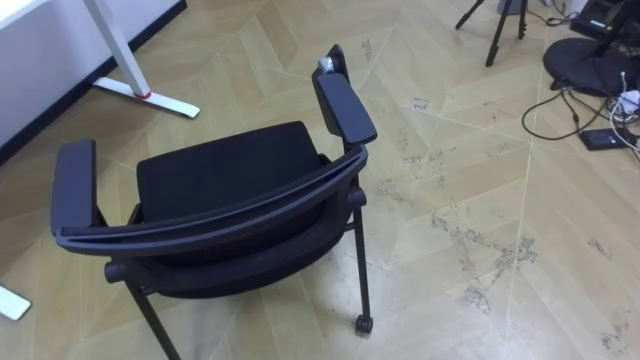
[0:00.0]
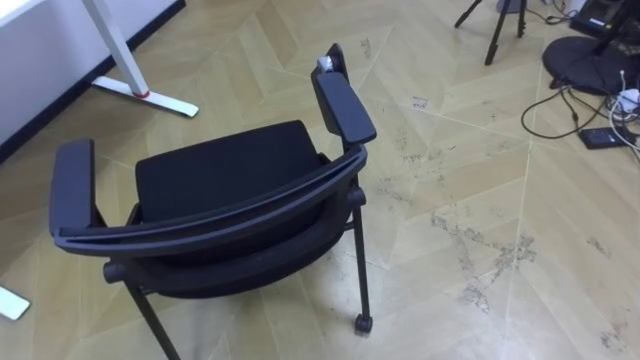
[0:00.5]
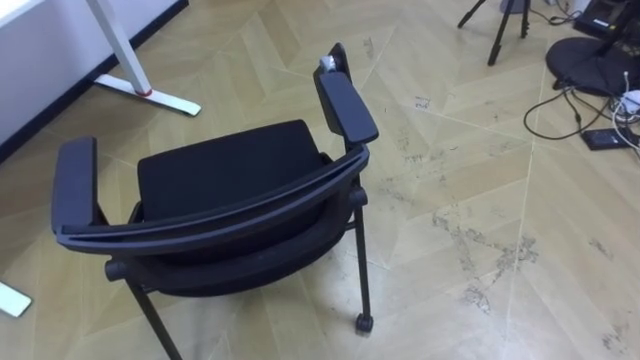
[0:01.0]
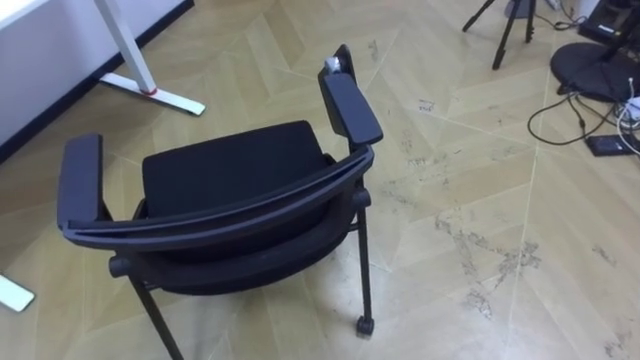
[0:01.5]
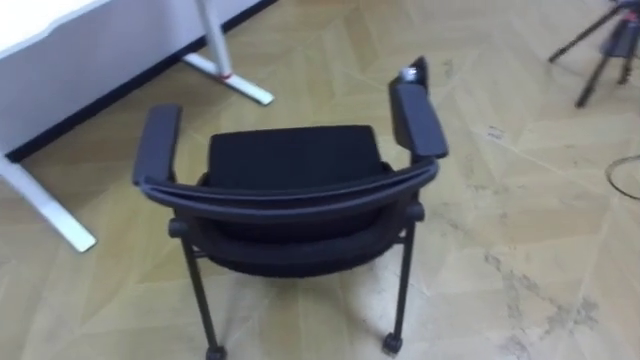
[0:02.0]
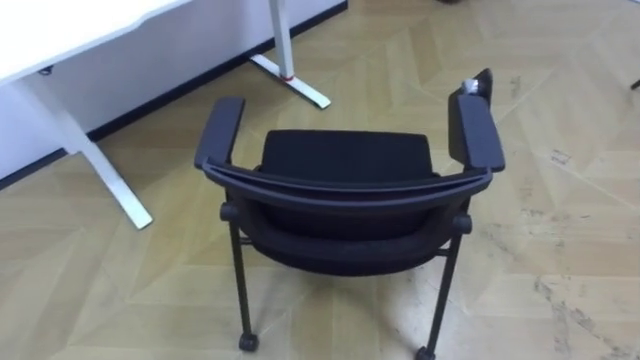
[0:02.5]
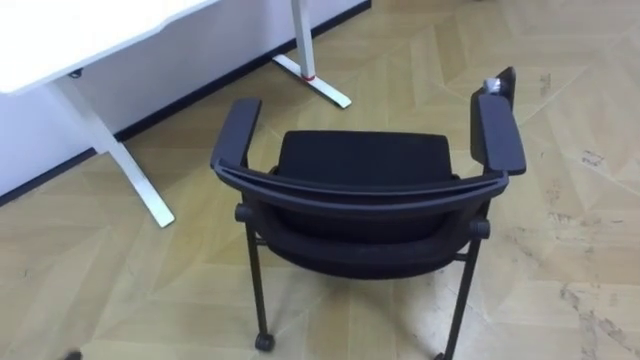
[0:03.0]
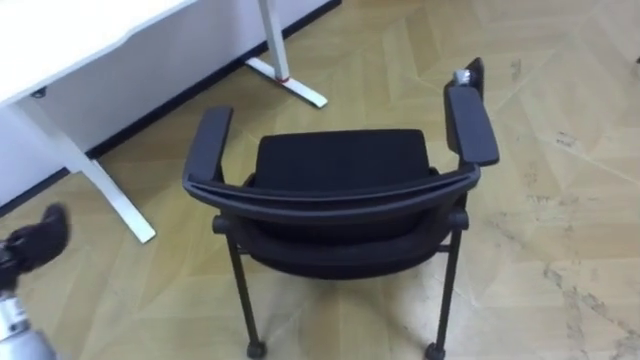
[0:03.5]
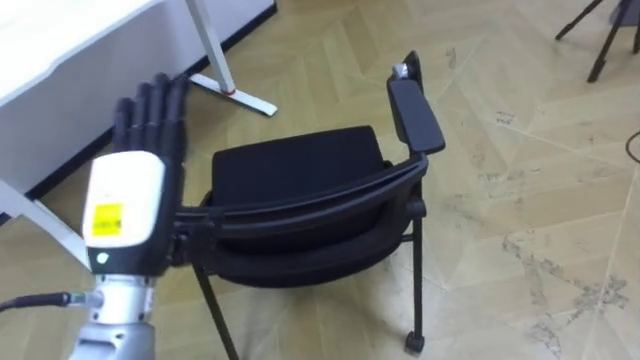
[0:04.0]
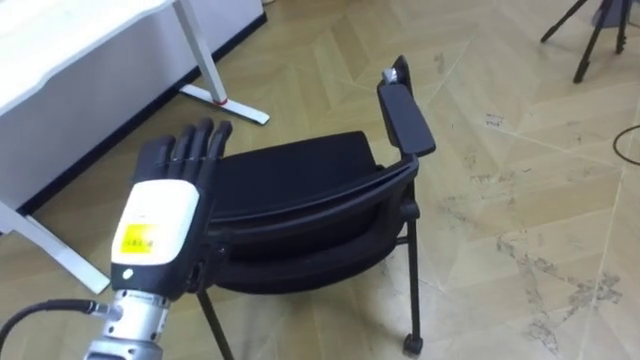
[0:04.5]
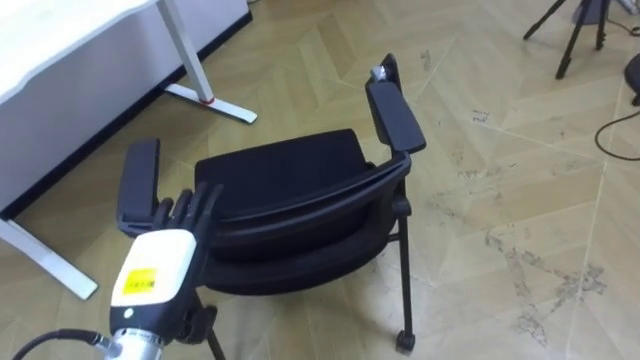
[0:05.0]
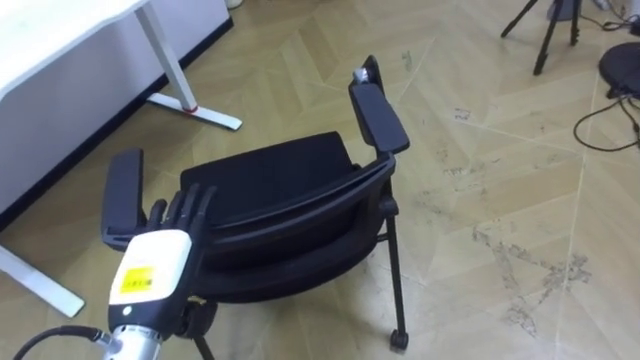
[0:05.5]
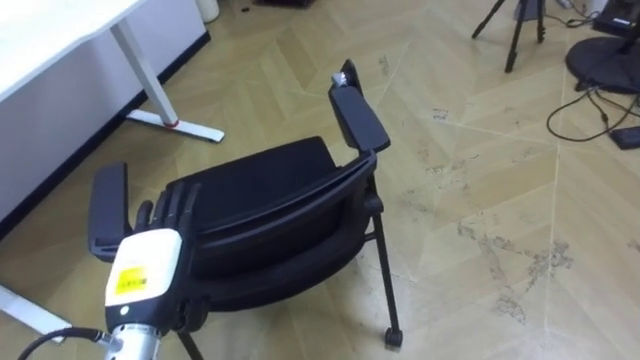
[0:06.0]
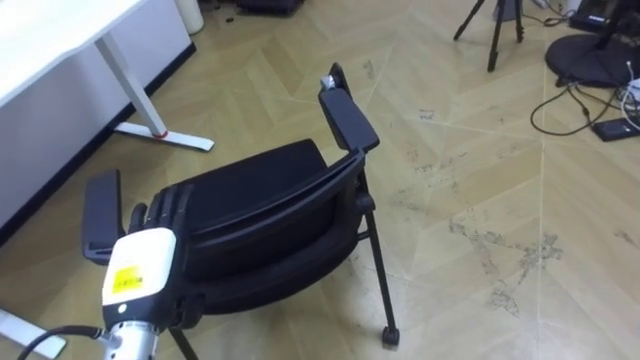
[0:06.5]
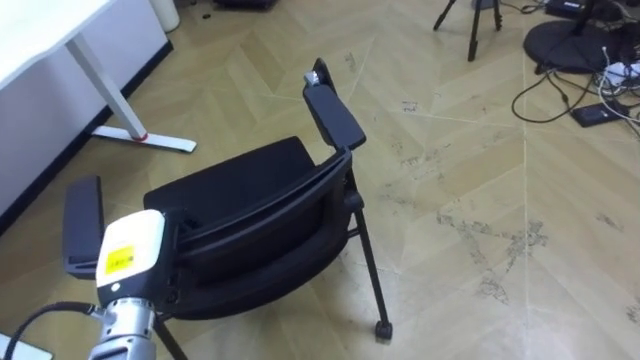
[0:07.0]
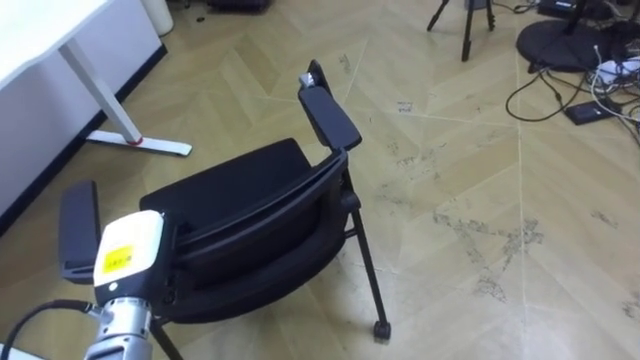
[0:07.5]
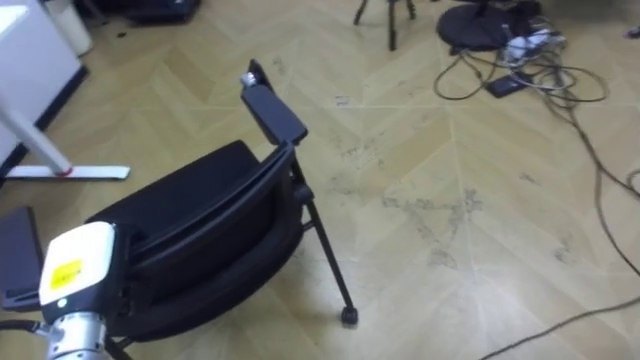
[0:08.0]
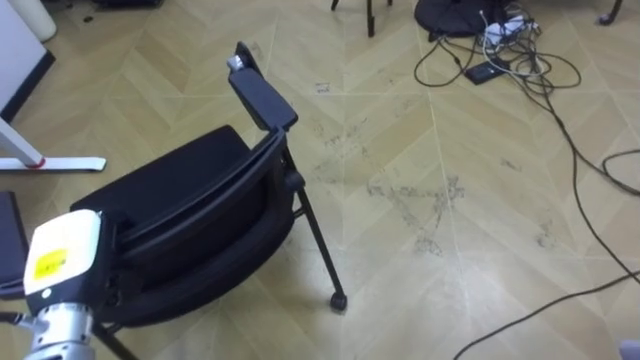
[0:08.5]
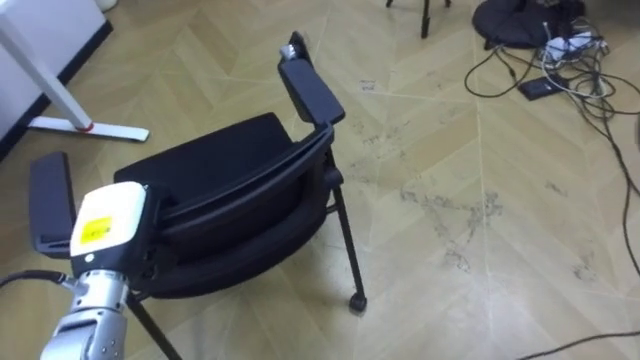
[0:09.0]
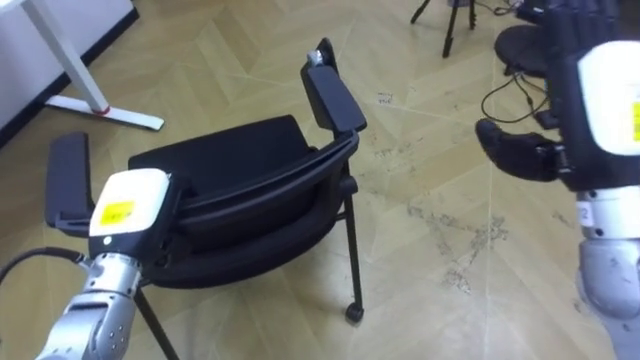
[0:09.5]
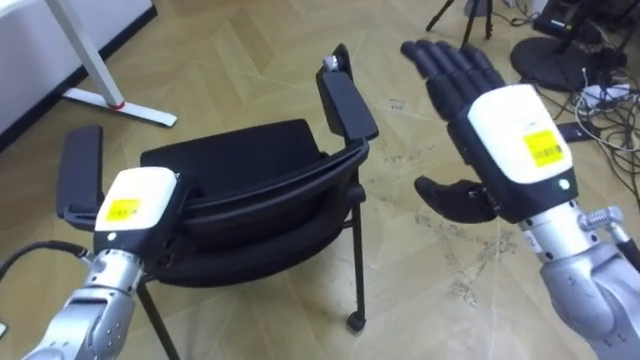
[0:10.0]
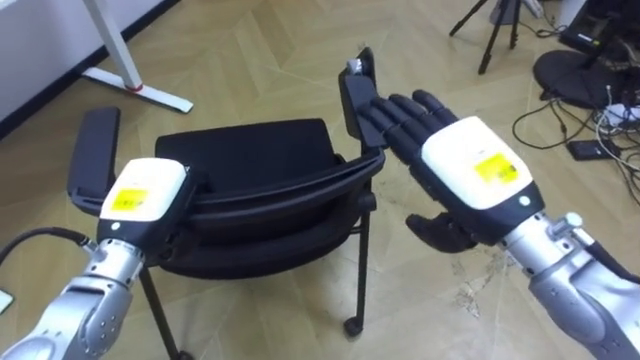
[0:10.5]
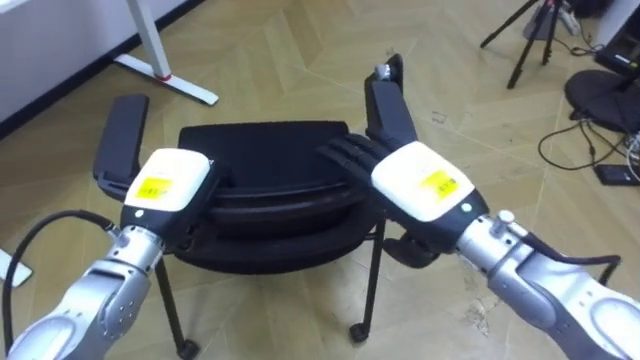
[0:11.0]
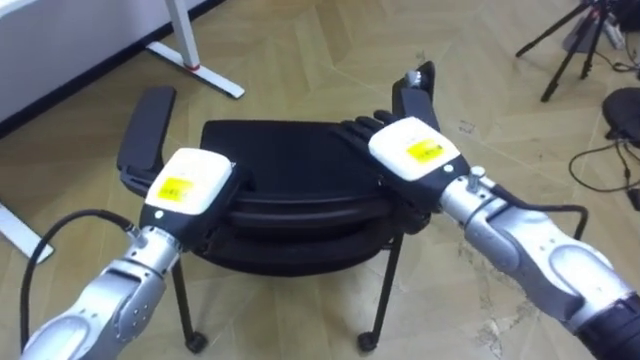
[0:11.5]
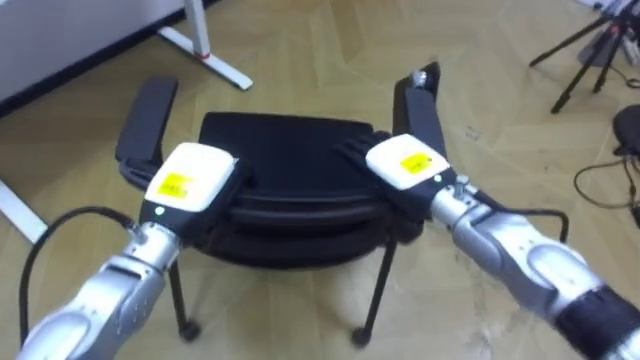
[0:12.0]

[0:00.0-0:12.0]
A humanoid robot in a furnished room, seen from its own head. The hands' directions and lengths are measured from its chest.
Task of the whole recording: Push the chair under the table.
0:04.0 to 0:06.0: The left hand travels downward by approximately 10 cm.
0:06.0 to 0:08.0: The left hand moves to the left, approximately 5 cm, and closes its fingers.
0:08.0 to 0:10.0: The left hand moves forward and to the right, approximately 10 cm.
0:10.0 to 0:12.0: The left hand shifts some 5 cm to the right, while the right hand travels downward, to the left and forward by roughly 15 cm.

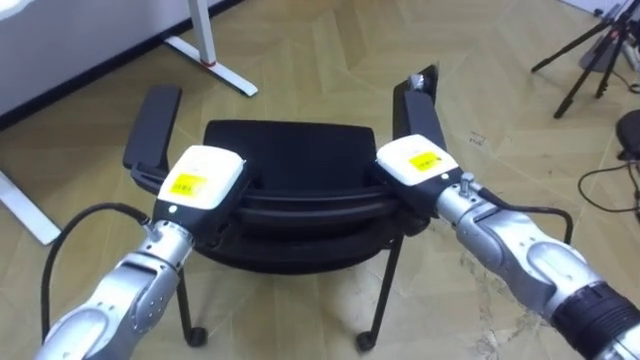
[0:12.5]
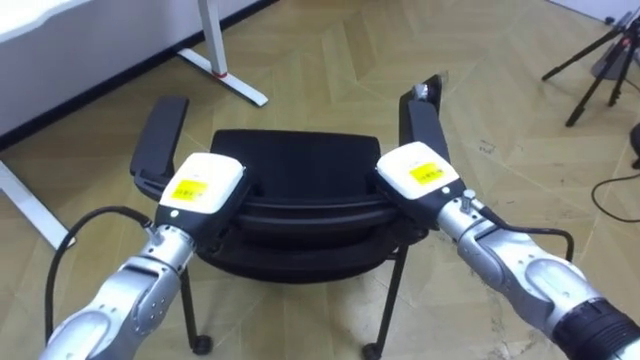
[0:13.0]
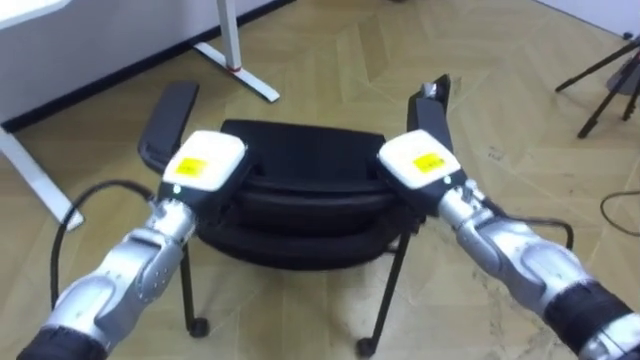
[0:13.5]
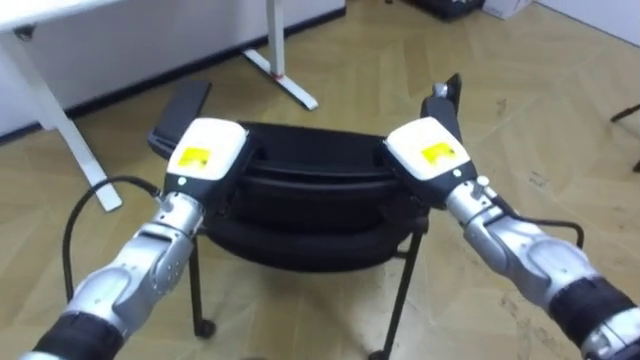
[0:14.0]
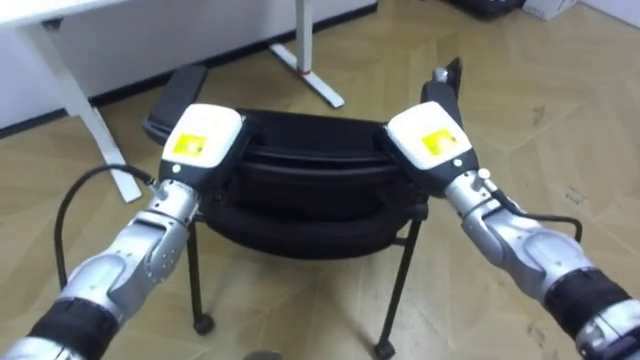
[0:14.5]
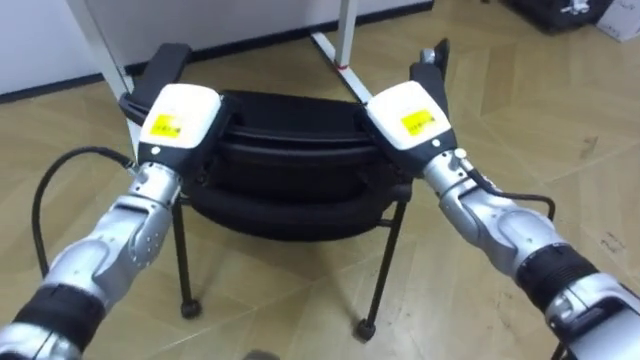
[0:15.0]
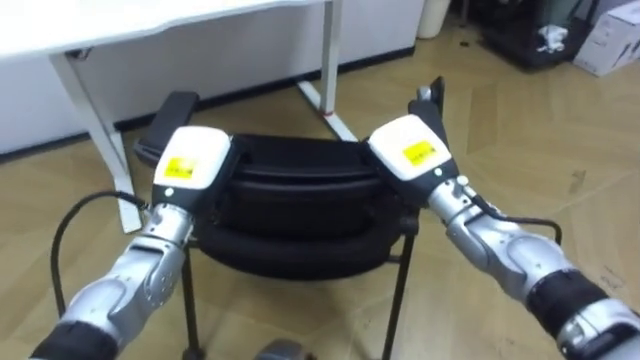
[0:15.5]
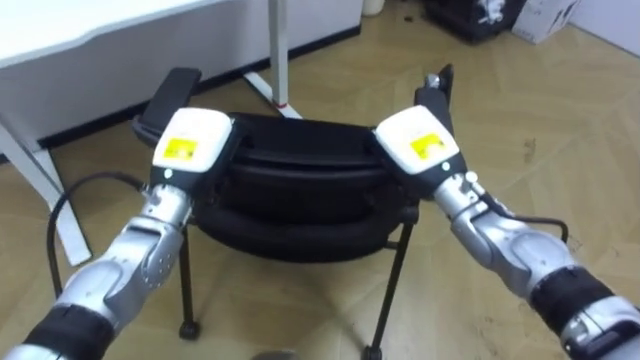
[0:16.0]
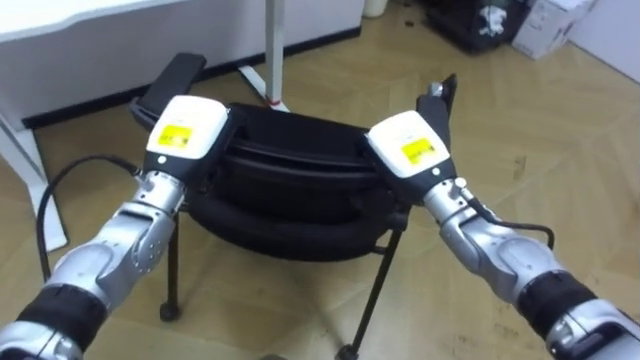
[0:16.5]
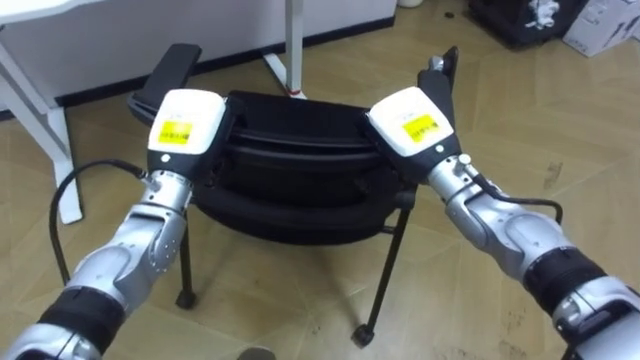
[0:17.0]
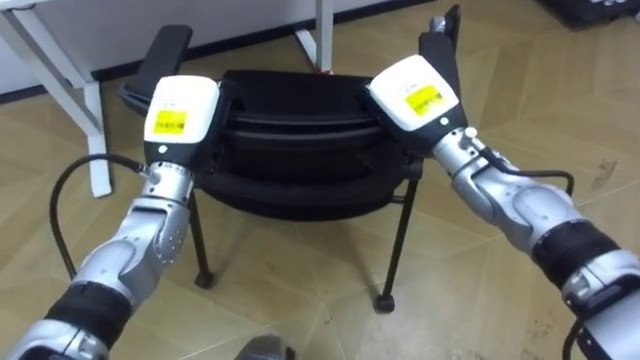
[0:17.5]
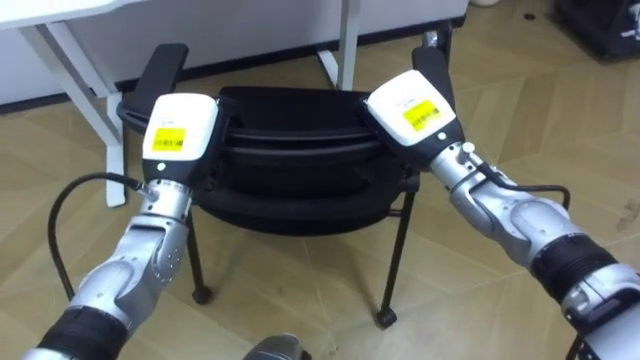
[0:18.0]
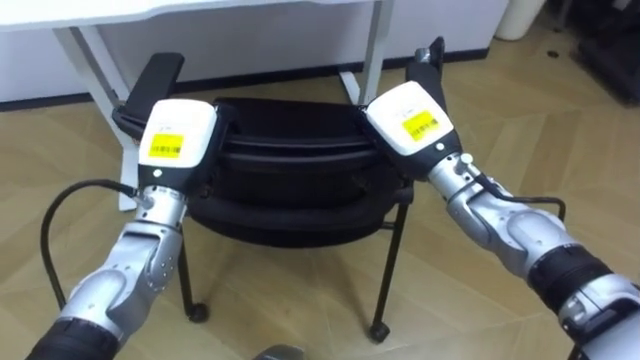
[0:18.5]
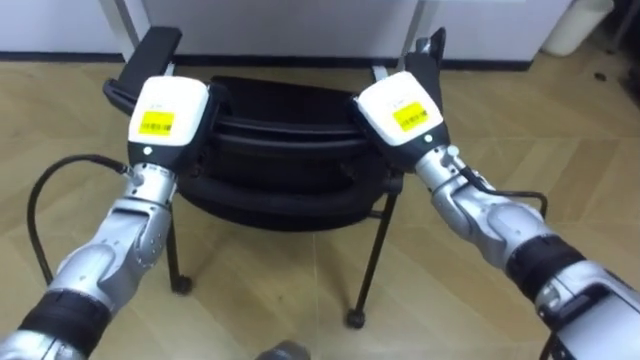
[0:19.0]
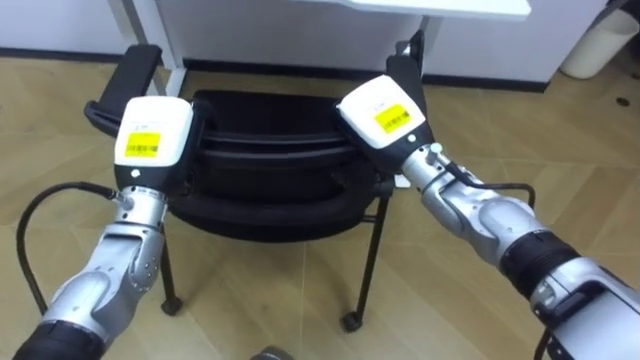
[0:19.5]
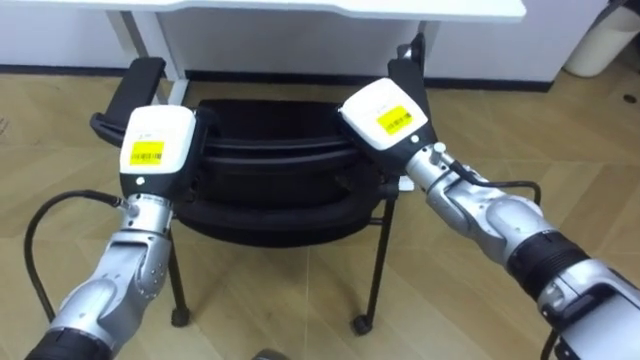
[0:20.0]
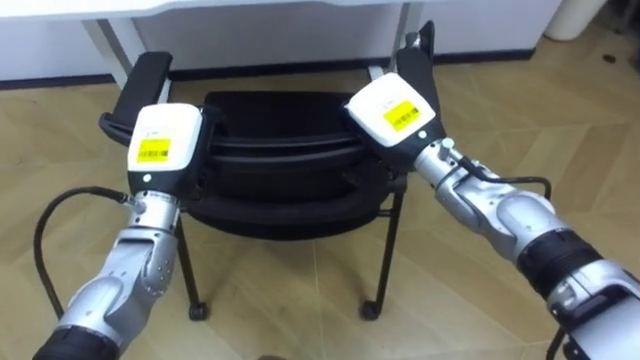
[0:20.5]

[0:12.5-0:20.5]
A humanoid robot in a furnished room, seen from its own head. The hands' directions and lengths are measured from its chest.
Task of the whole recording: Push the chair under the table.
0:16.5 to 0:18.5: The robot faces roughly 20 degrees further to its left.
